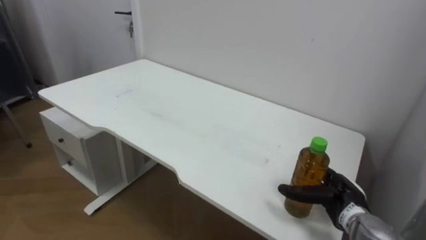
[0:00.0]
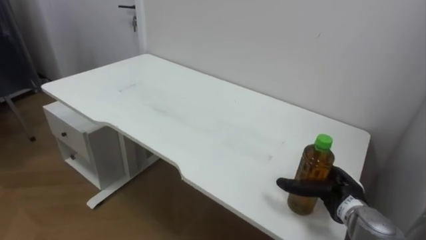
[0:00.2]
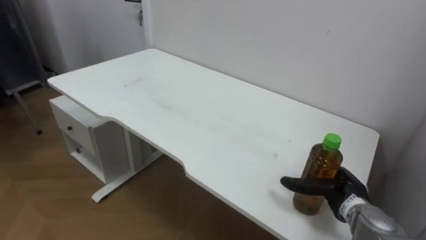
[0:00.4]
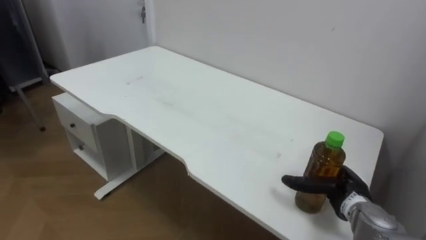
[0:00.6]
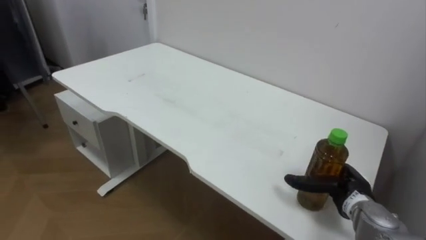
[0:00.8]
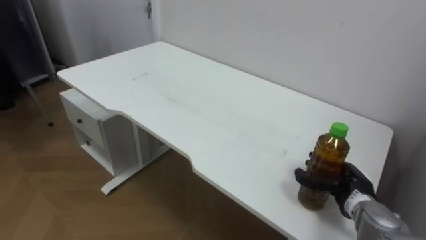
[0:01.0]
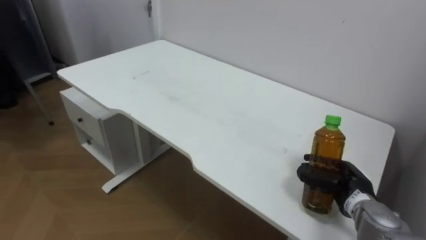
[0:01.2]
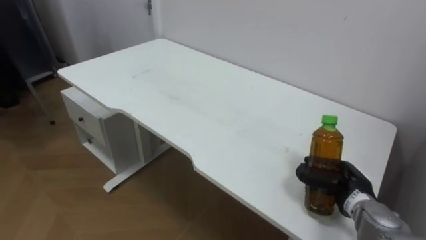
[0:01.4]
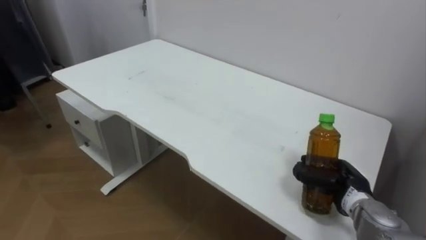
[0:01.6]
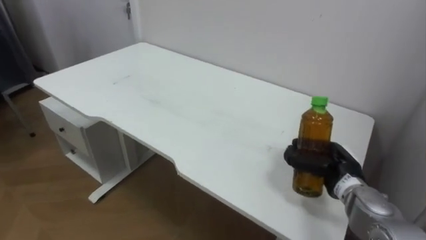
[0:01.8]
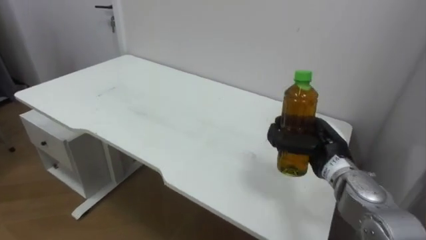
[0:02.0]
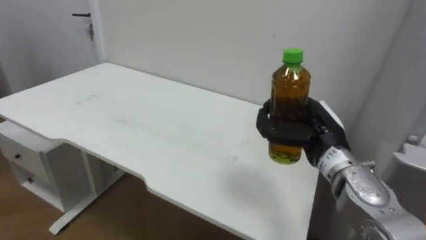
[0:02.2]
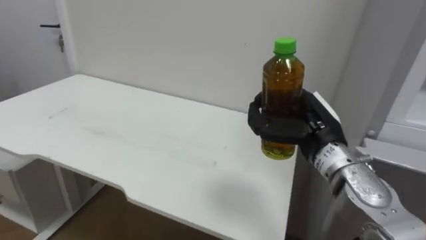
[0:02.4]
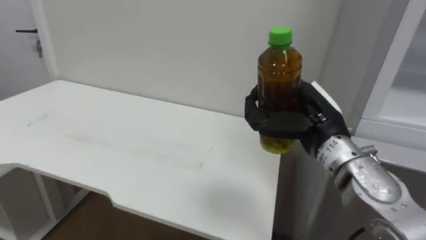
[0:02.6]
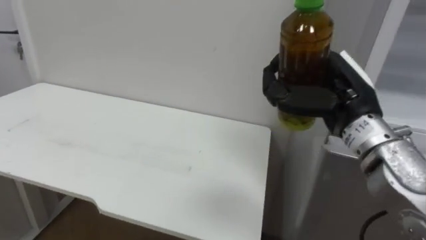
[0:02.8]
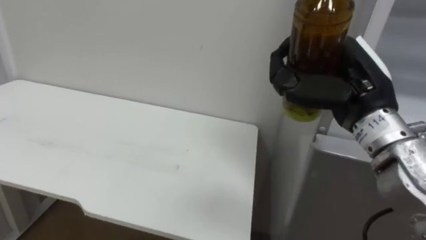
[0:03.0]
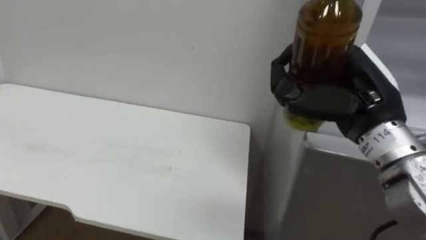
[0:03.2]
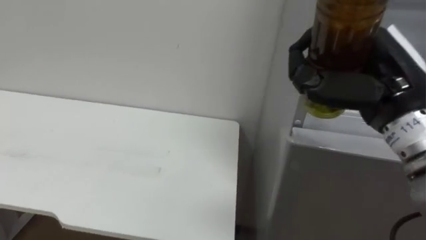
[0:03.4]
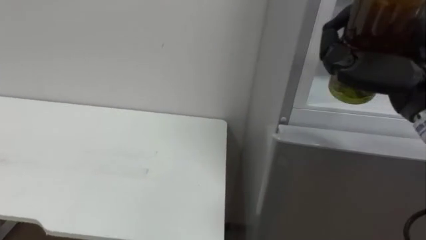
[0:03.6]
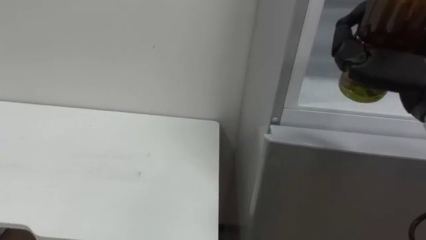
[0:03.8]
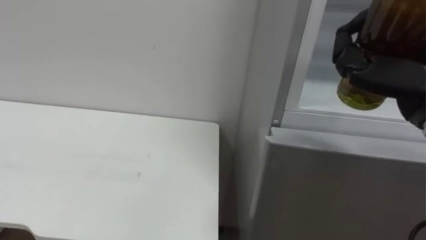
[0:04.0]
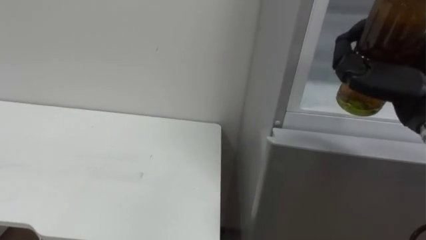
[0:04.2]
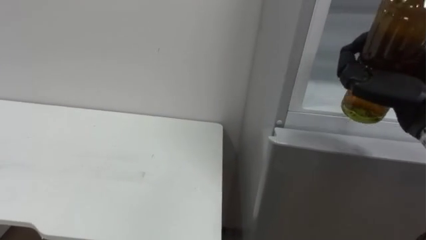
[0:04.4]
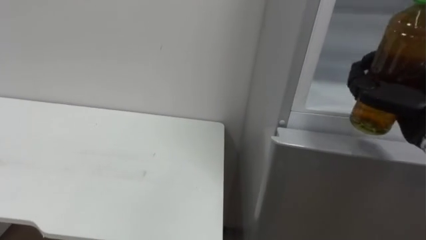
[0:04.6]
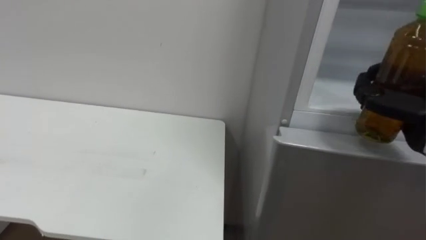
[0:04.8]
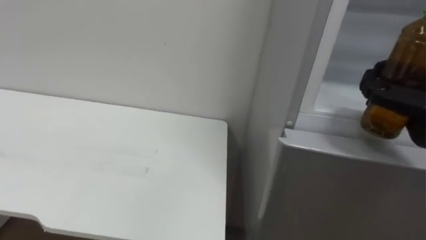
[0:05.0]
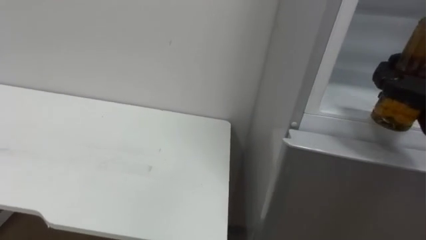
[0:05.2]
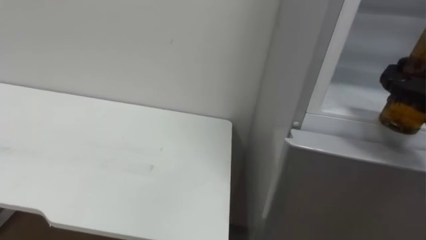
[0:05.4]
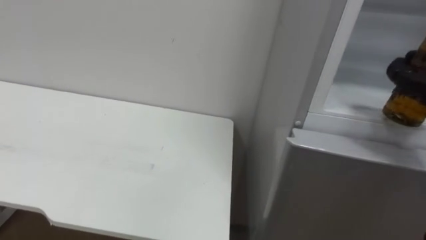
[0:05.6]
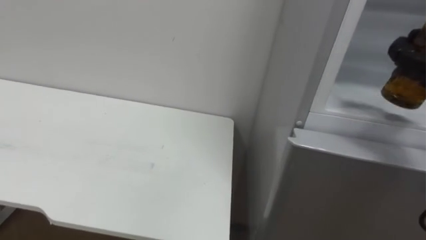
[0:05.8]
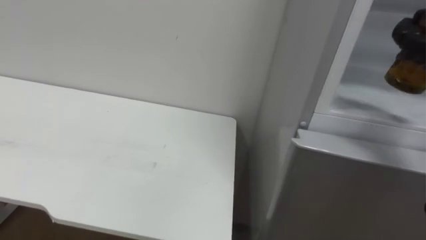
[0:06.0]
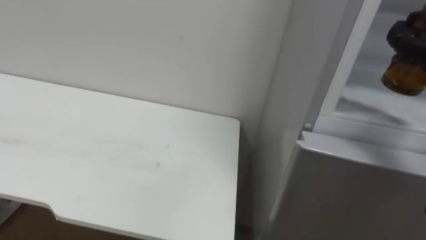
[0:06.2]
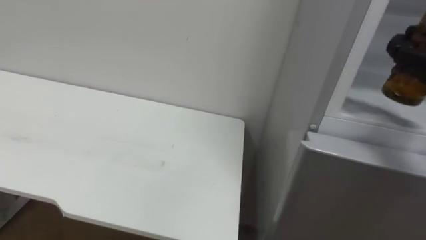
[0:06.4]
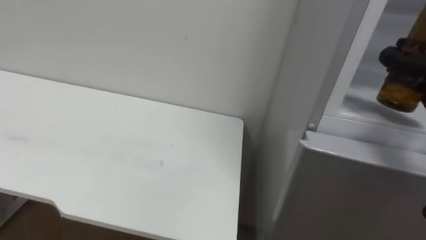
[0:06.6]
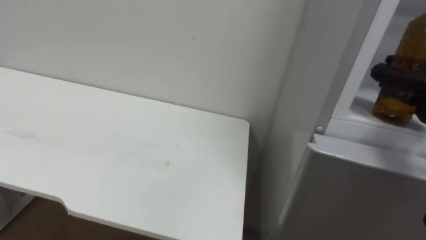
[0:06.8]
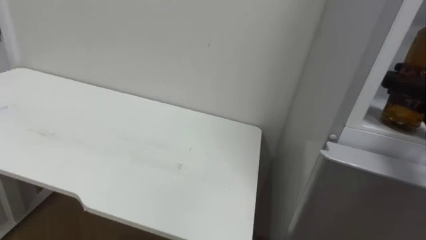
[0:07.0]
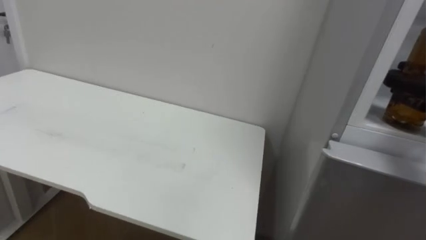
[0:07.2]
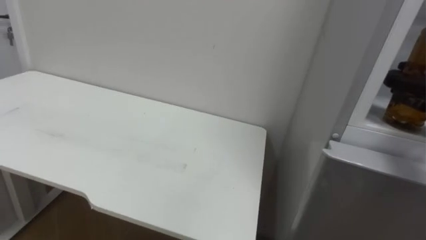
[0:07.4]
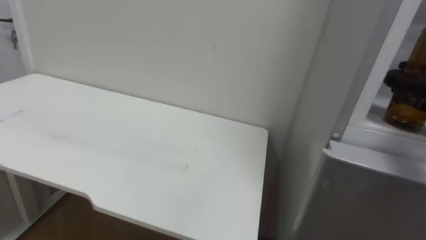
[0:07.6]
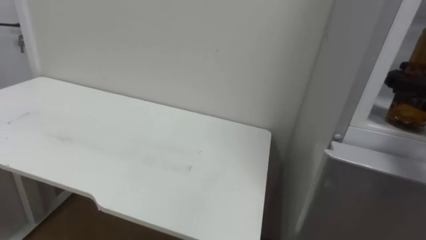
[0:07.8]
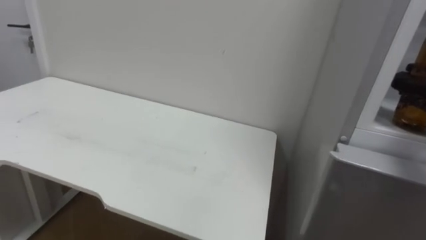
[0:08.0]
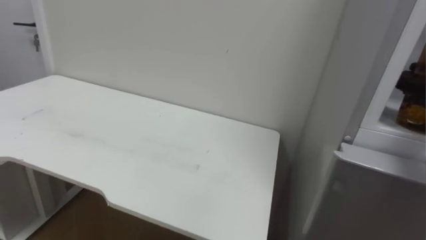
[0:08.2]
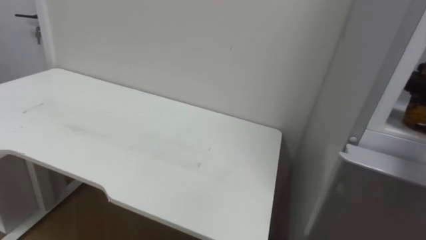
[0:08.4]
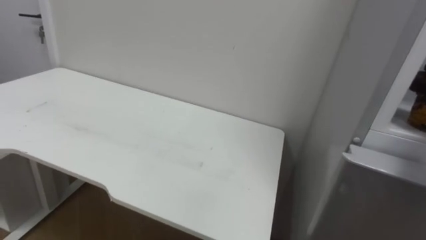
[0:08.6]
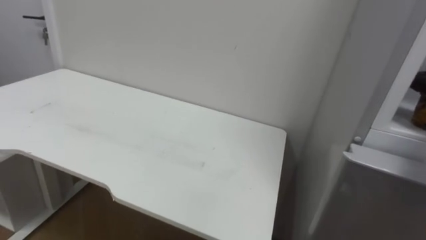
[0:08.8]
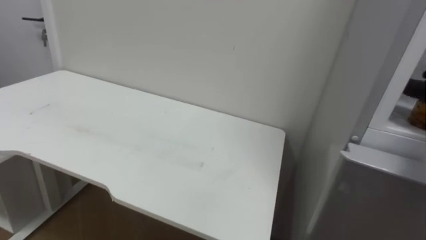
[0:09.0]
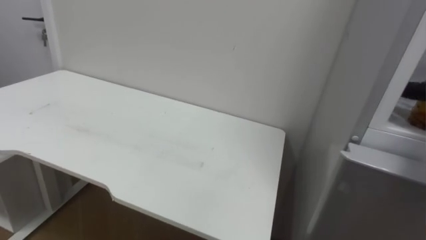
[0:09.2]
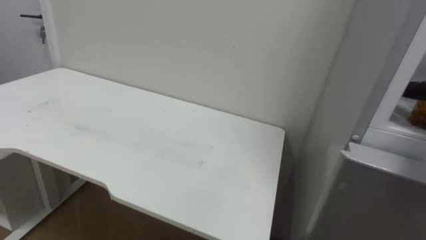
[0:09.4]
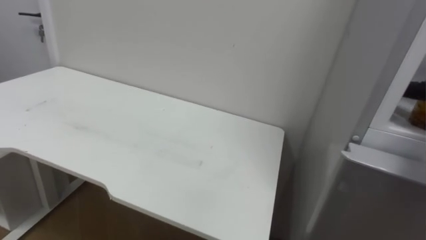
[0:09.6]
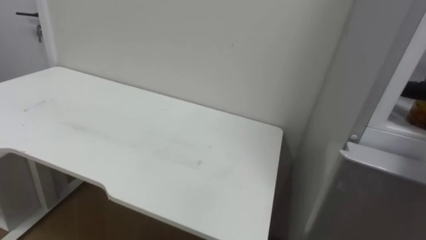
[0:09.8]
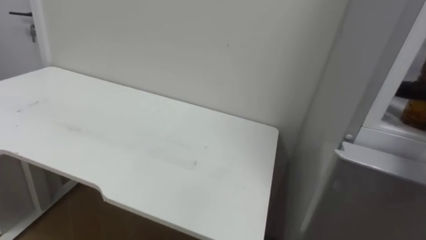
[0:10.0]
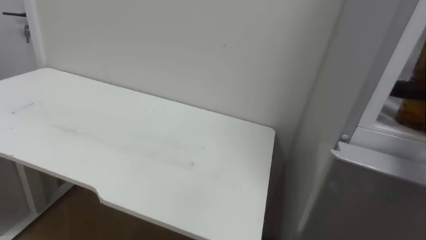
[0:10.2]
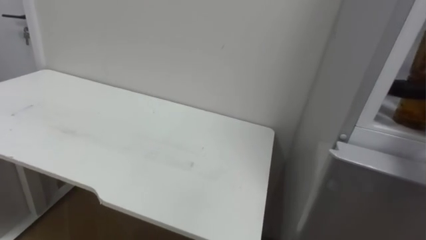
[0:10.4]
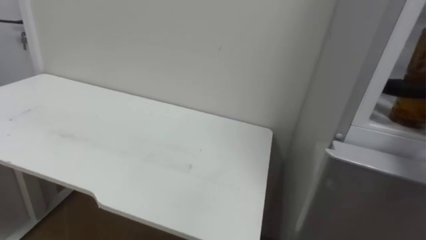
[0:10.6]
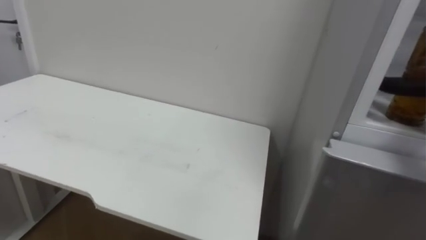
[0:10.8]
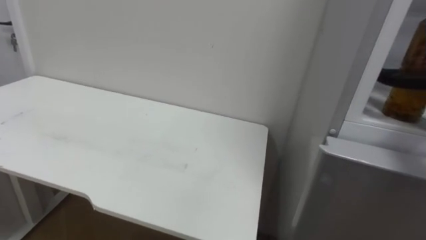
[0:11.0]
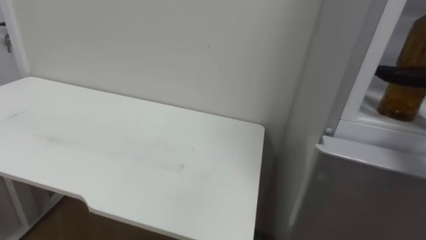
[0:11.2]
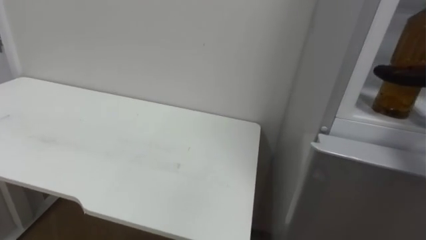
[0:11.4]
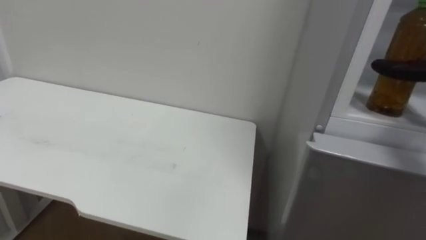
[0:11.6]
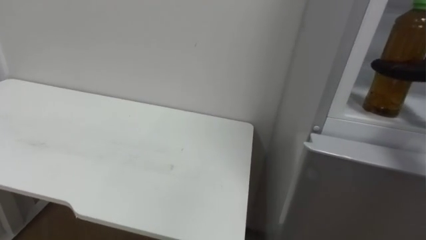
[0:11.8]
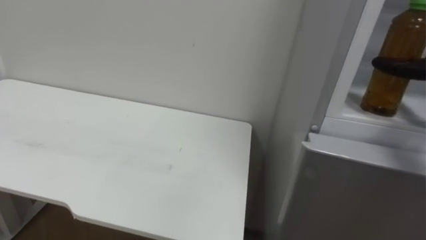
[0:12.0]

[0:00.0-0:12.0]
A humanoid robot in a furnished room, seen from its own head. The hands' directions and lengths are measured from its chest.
Task of the whole recording: Open the upper refrigerator door, put the drink from the table into the refrigerator, and then close the refrigerator door.
0:00.0 to 0:01.6: The right hand closes.
0:01.6 to 0:03.0: The right hand heads upward, covering approximately 25 cm.
0:03.0 to 0:04.4: The right hand shifts some 10 cm to the right.

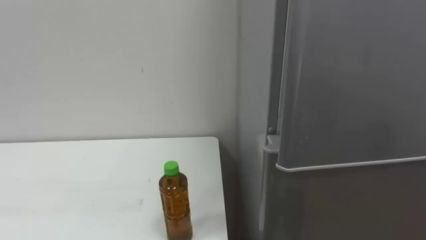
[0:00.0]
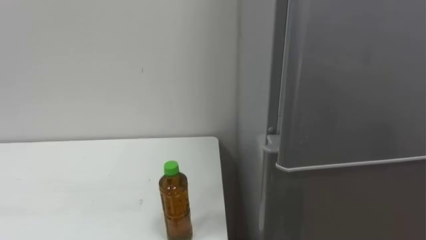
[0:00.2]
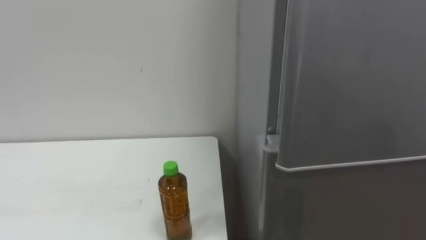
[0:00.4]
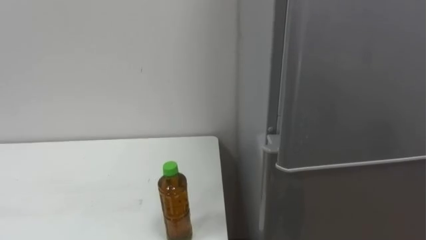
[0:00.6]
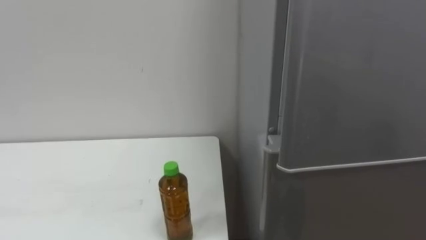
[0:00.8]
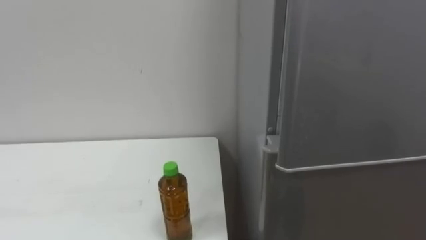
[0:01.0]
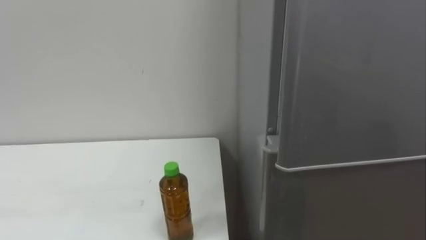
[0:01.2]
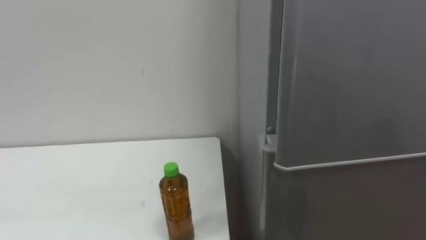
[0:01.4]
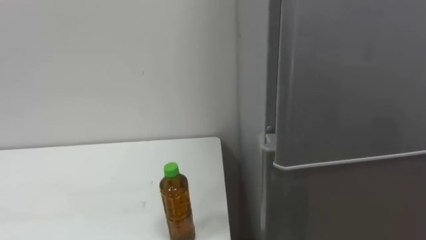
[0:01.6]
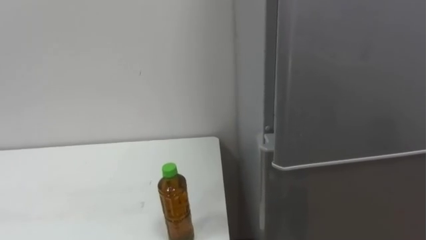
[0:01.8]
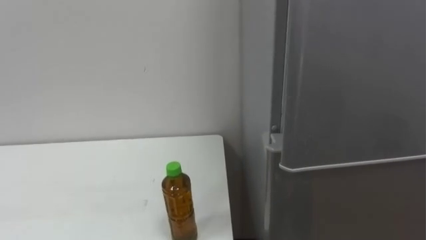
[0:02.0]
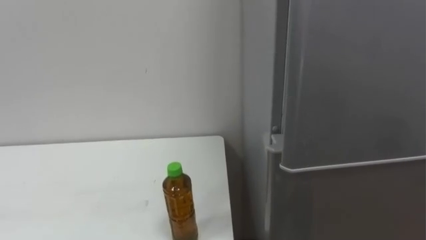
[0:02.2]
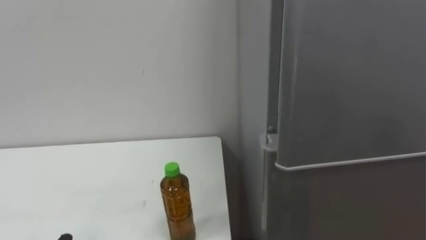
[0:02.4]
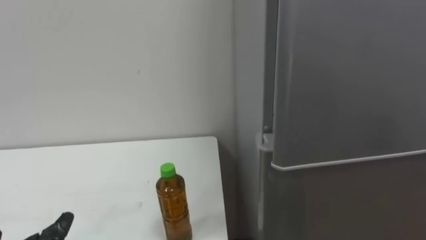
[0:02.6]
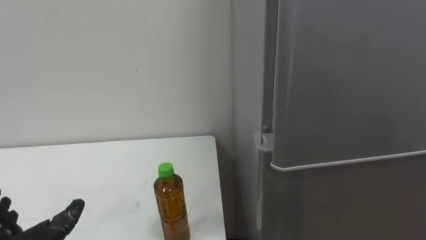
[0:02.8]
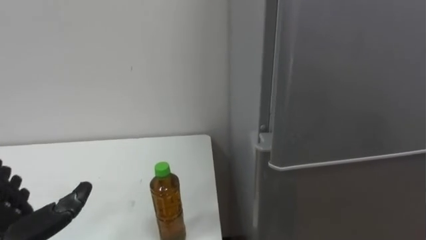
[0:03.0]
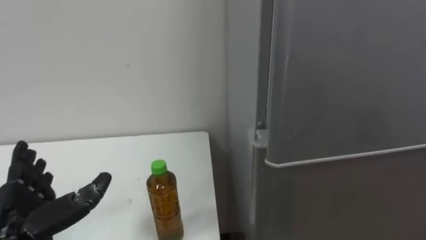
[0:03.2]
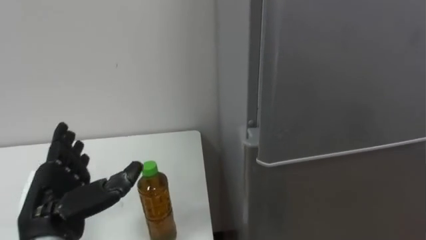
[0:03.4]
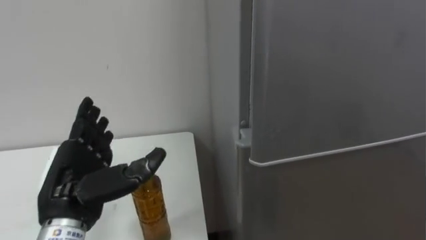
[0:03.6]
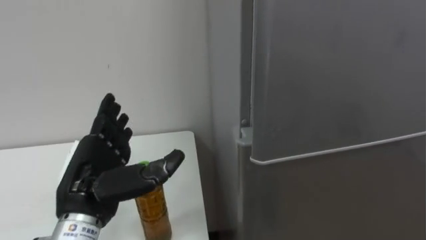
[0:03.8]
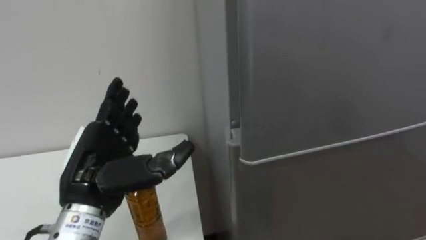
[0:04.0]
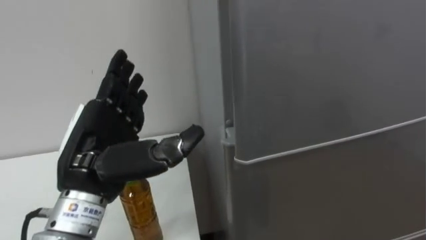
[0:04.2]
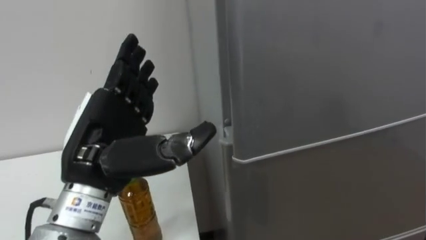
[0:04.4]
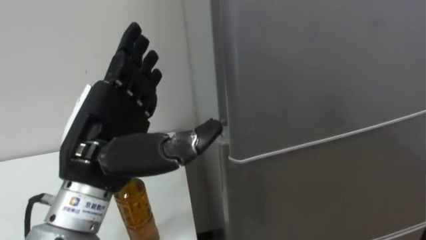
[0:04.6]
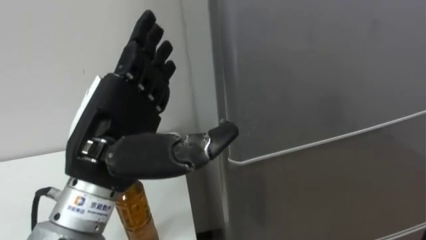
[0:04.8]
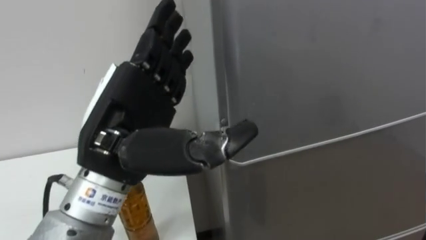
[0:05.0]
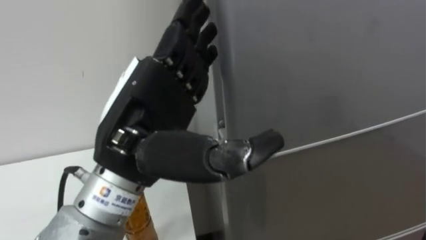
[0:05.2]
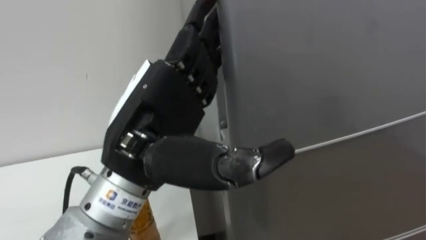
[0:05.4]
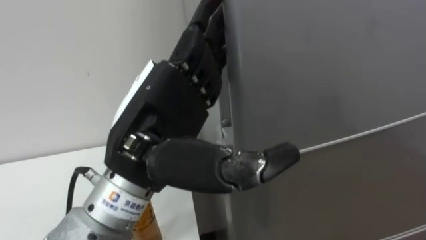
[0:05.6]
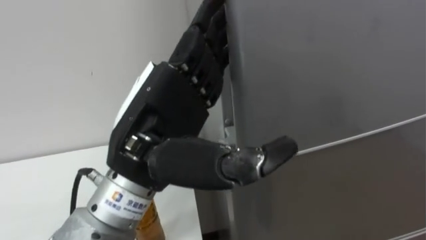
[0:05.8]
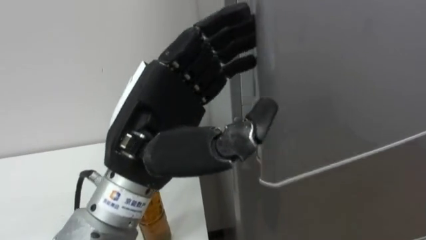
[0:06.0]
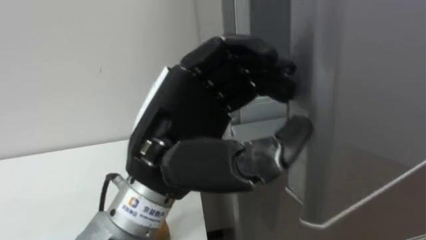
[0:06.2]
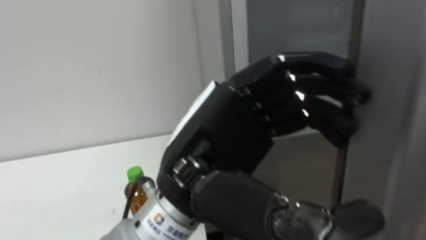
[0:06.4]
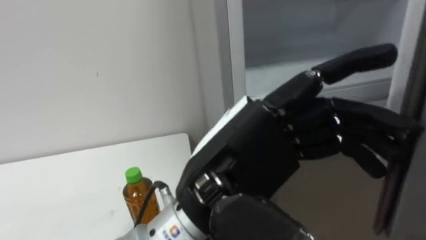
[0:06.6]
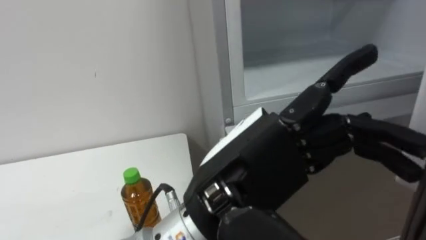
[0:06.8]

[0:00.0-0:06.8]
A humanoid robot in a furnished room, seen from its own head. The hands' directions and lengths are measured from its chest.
Task of the whole recording: Open the upper refrigerator door, put the drink from the table into the refrigerator, and then close the refrigerator door.
0:04.0 to 0:05.4: The left hand is displaced upward and to the right by roughly 15 cm.
0:05.4 to 0:06.8: The left hand travels to the right by approximately 10 cm, and closes, then reopens.
